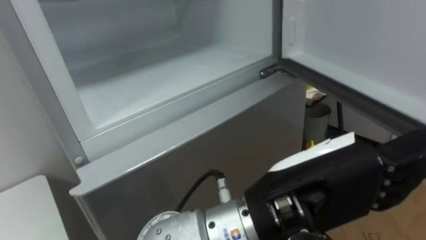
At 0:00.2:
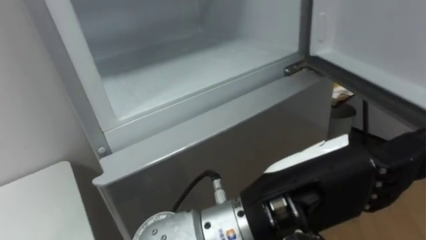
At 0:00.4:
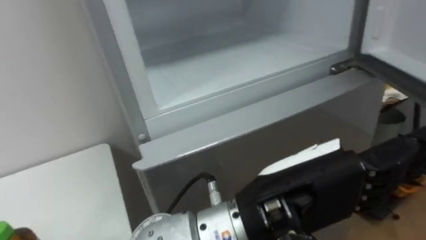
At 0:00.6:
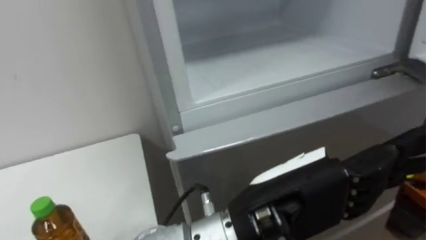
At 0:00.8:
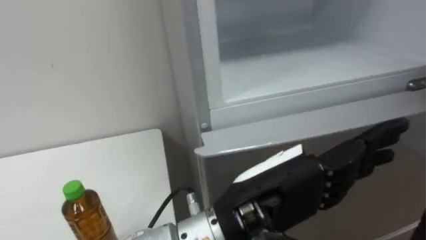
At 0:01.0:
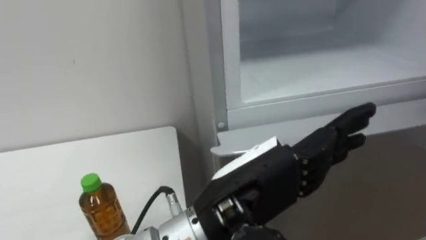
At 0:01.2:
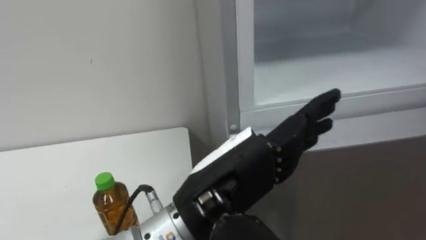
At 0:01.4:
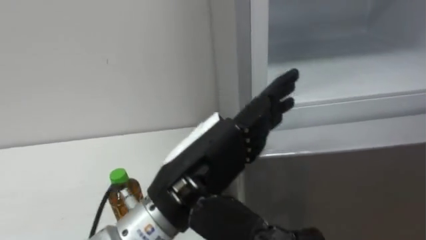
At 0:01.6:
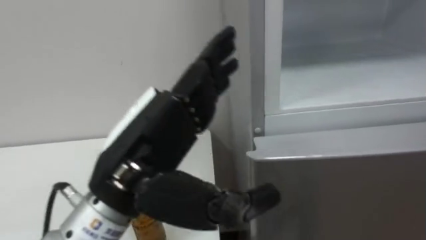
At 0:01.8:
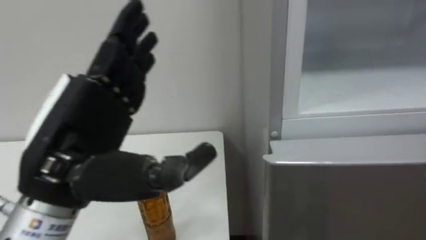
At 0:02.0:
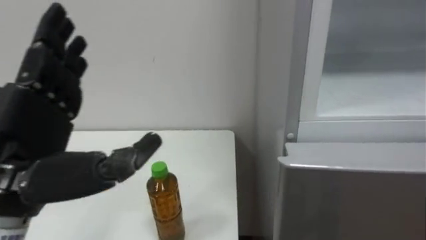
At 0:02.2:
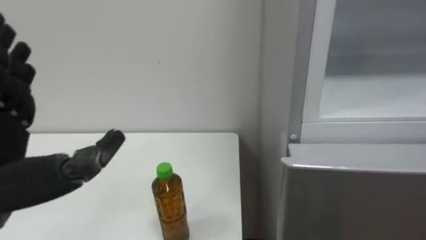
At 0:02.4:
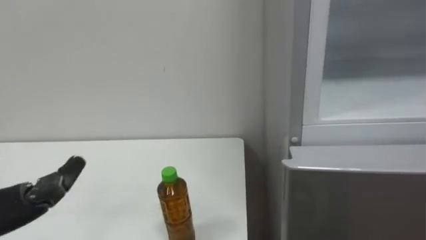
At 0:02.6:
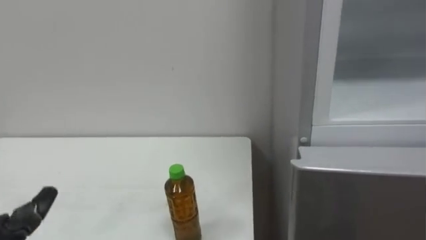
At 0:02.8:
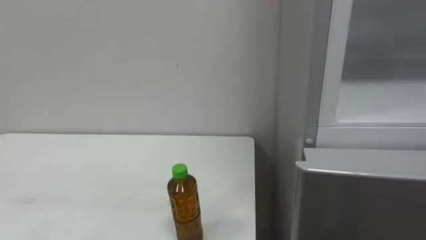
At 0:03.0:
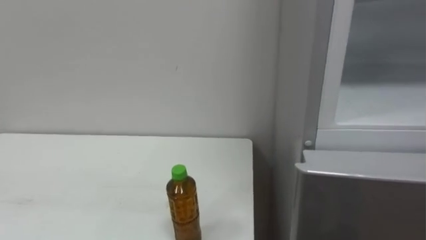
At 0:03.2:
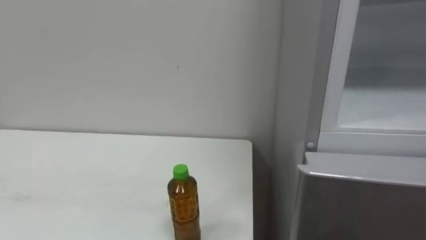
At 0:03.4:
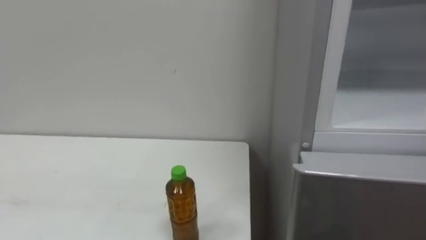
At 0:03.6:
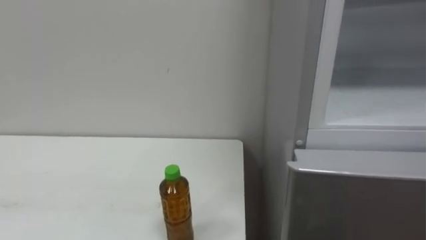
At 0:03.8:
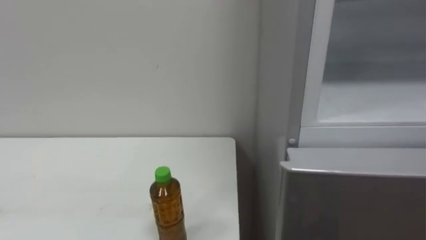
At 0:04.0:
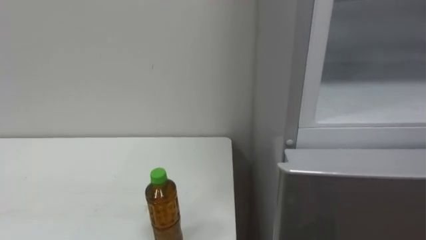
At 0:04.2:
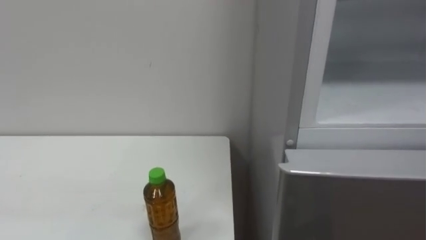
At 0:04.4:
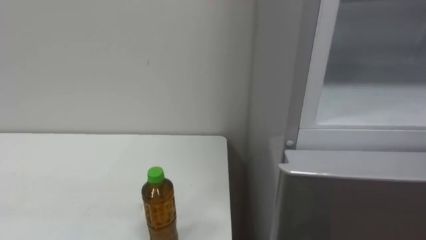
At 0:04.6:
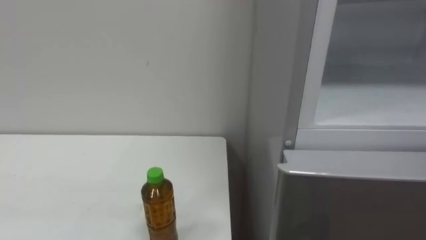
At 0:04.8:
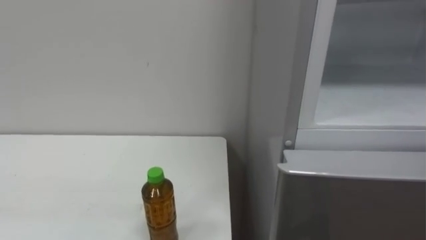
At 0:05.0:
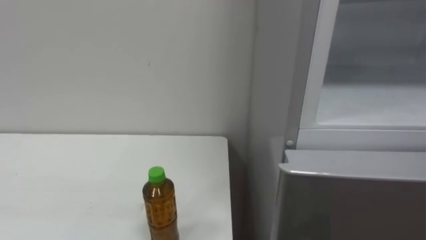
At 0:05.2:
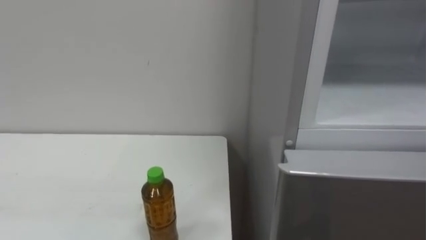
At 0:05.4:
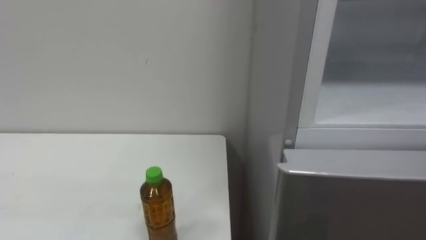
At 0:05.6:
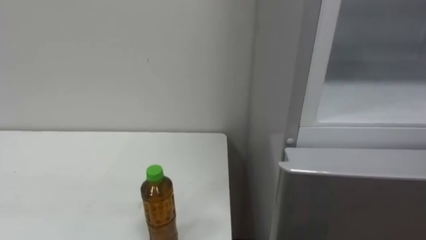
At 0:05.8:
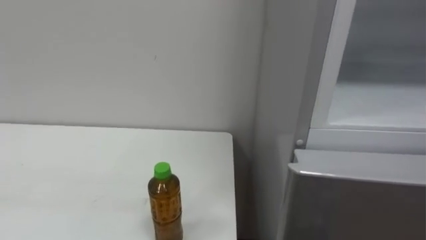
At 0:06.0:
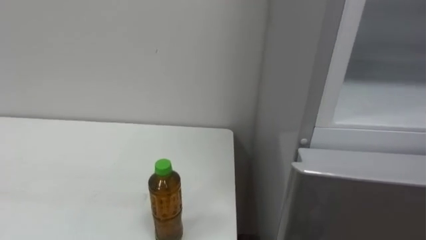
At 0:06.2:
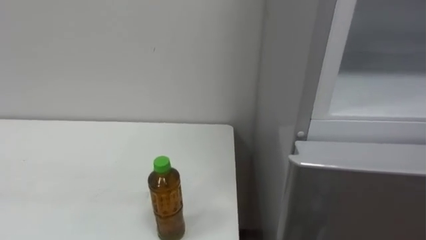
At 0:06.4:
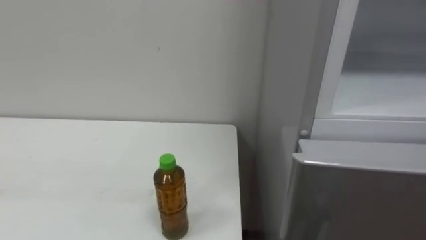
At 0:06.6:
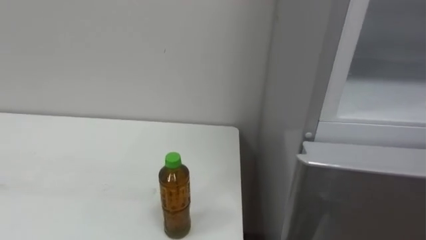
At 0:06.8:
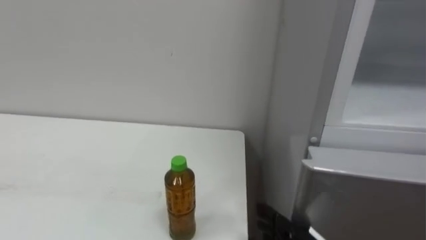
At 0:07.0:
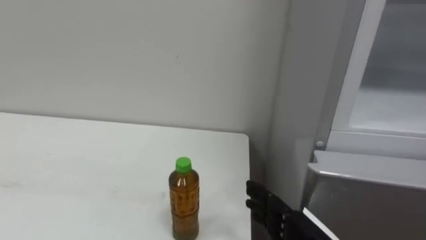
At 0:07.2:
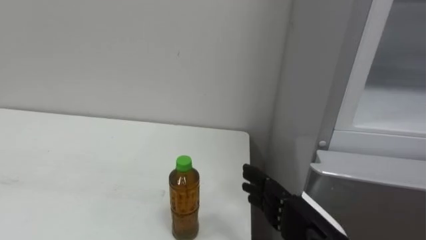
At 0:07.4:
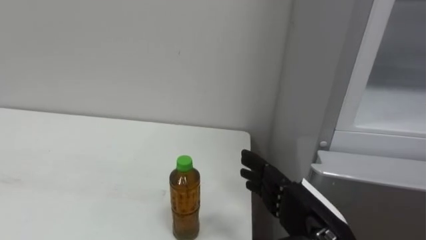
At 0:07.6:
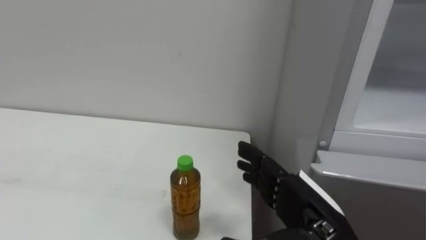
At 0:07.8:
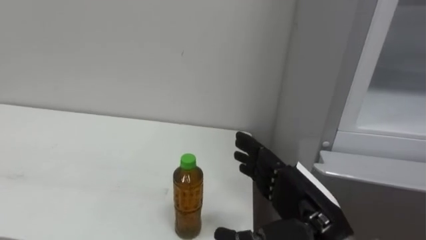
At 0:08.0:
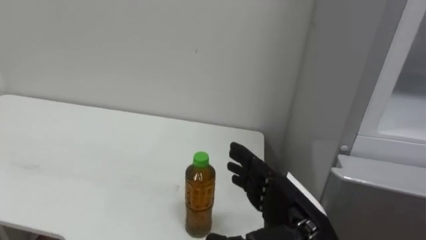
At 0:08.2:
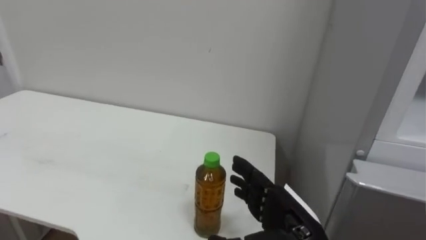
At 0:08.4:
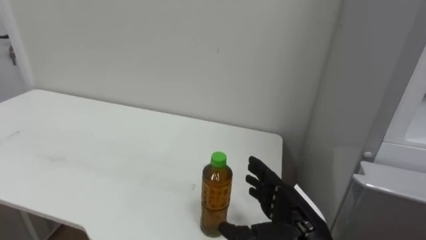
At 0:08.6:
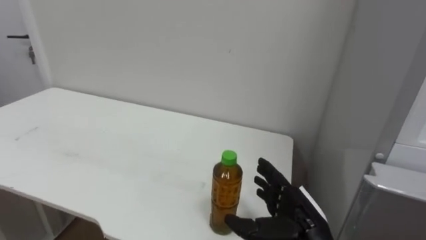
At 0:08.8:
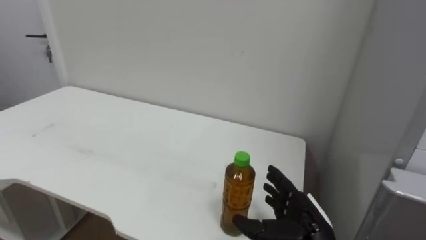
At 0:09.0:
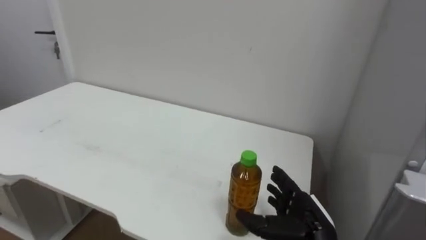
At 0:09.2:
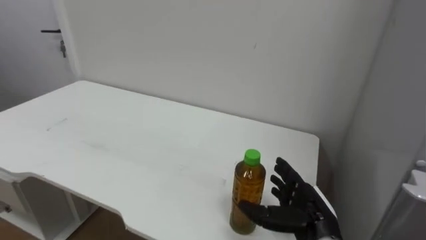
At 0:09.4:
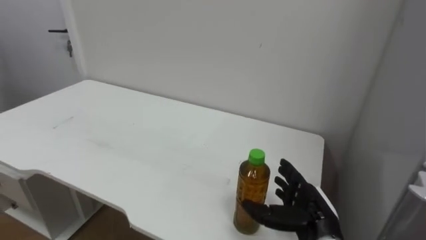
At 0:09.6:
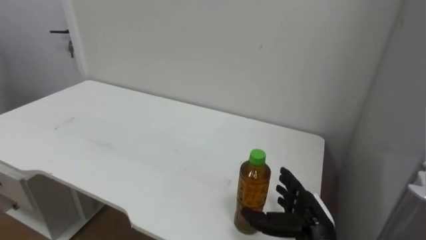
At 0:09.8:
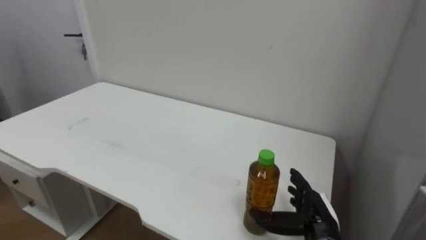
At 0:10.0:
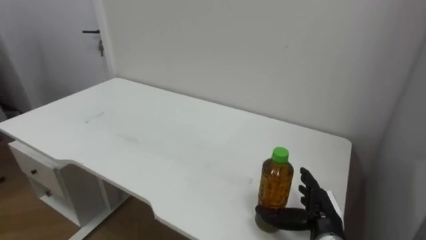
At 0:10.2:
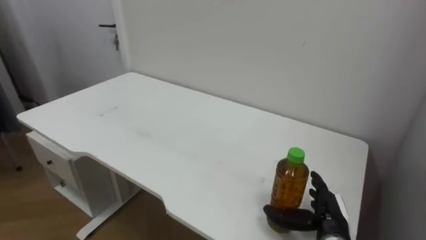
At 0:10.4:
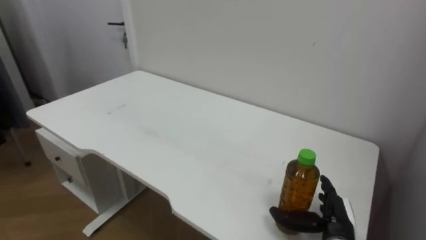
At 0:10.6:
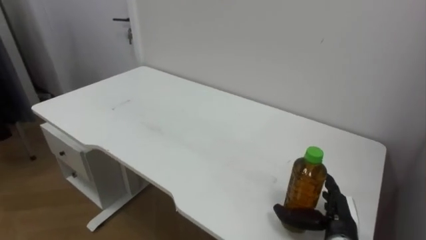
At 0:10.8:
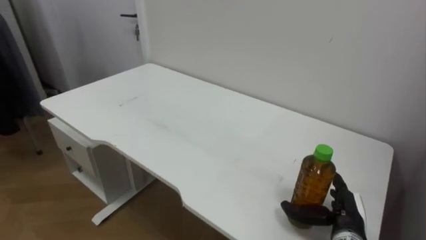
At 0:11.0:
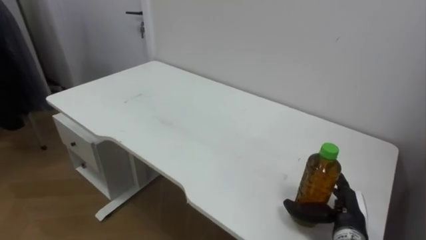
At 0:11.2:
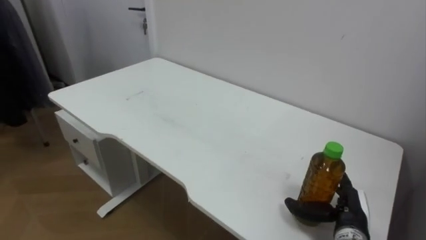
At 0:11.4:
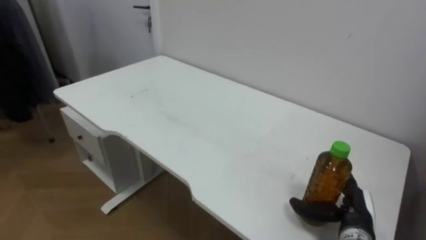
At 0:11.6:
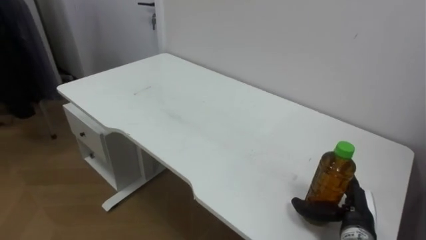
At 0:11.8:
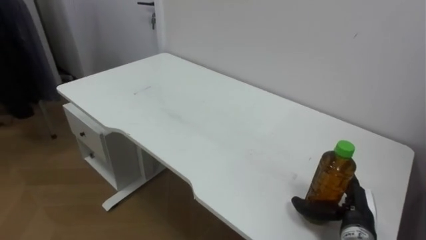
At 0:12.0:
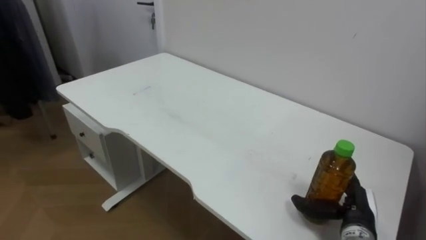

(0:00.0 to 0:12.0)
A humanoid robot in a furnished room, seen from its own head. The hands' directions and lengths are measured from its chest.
Task of the whole recording: Open the upper refrigerator door, put the drink from the table into the refrigerator, and then close the refrigerator door.
0:00.0 - 0:01.6: The left hand travels to the left by approximately 15 cm.
0:07.6 - 0:09.0: The right hand is displaced downward and forward by about 10 cm.
0:09.0 - 0:10.4: The right hand goes roughly 5 cm to the right.

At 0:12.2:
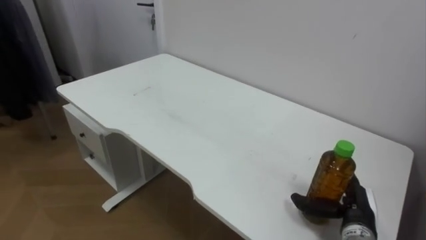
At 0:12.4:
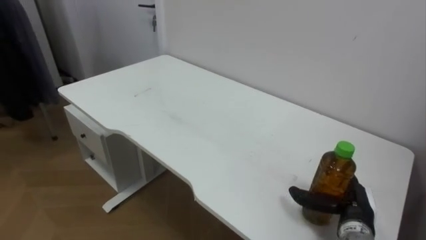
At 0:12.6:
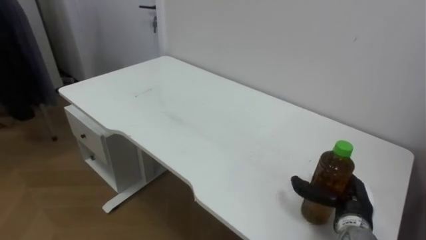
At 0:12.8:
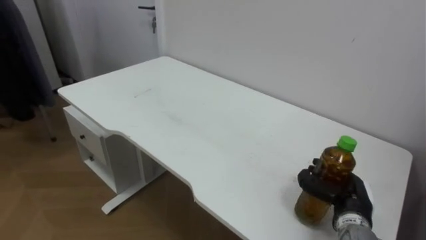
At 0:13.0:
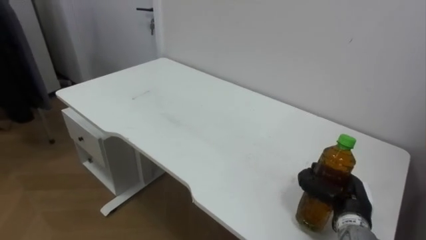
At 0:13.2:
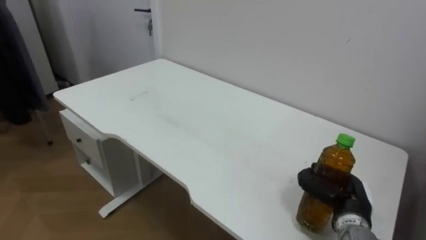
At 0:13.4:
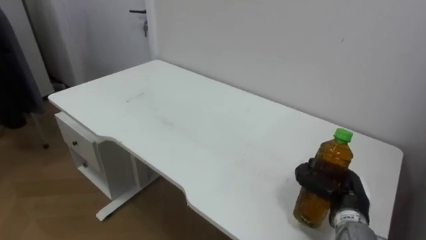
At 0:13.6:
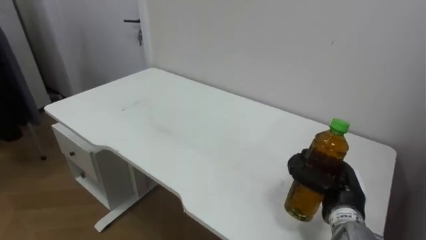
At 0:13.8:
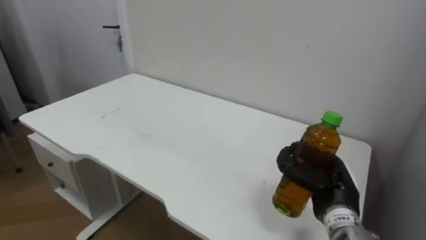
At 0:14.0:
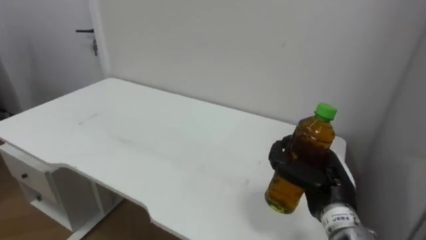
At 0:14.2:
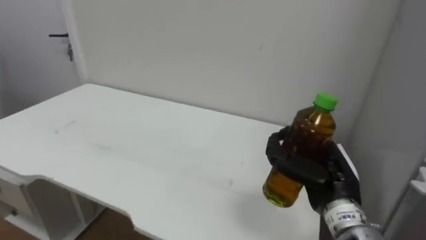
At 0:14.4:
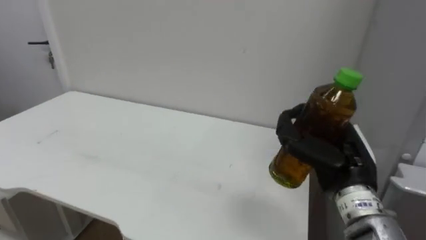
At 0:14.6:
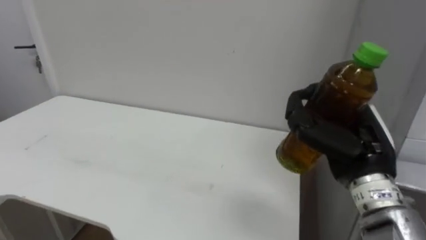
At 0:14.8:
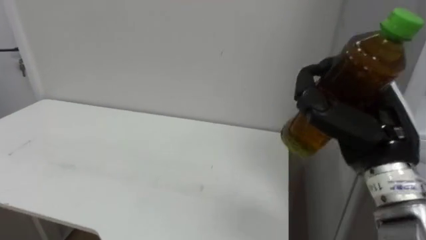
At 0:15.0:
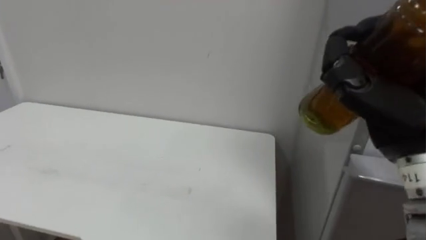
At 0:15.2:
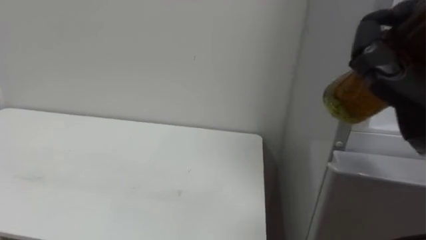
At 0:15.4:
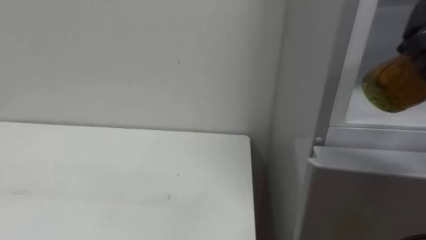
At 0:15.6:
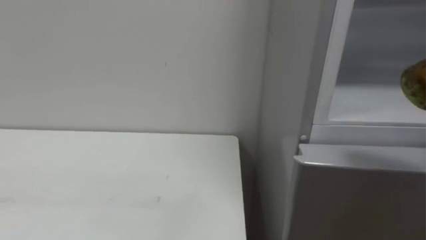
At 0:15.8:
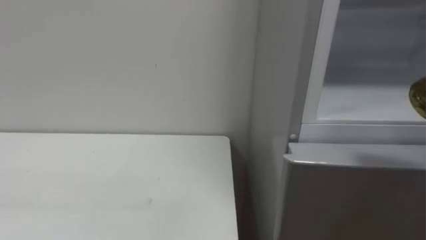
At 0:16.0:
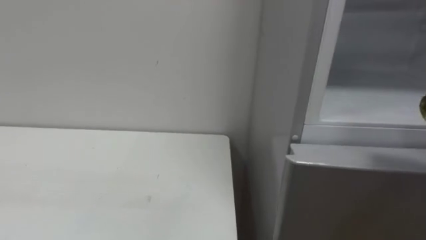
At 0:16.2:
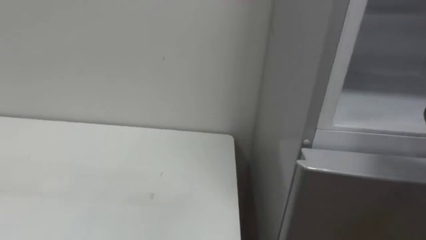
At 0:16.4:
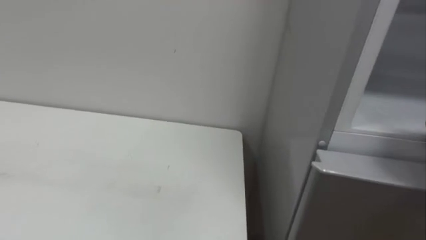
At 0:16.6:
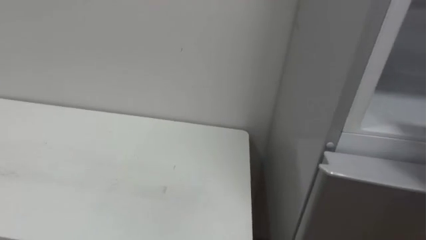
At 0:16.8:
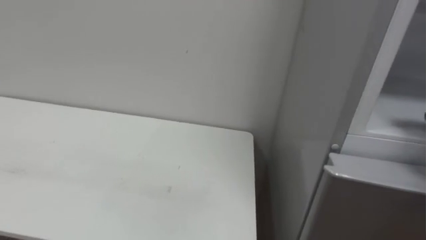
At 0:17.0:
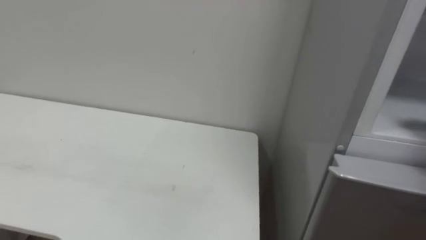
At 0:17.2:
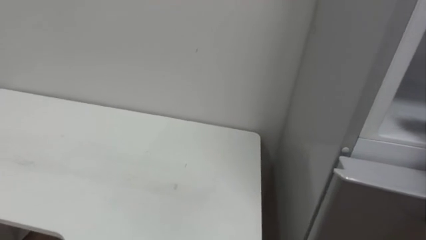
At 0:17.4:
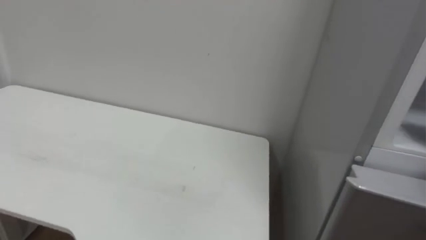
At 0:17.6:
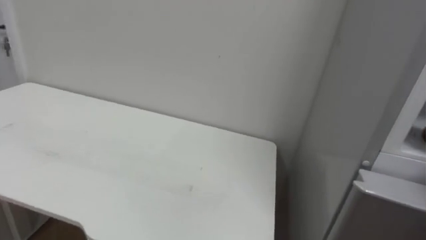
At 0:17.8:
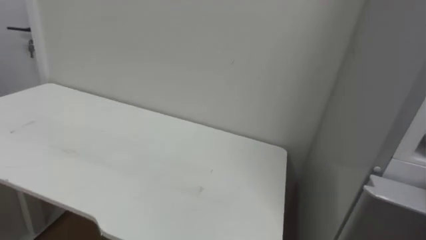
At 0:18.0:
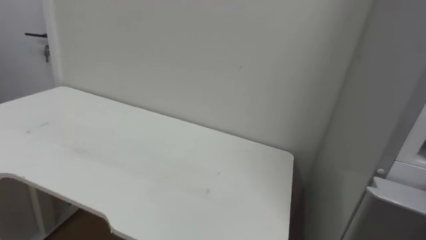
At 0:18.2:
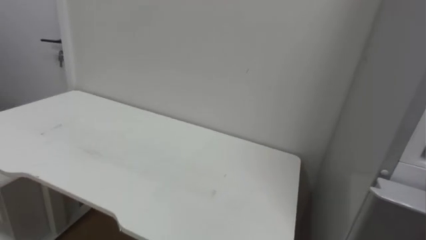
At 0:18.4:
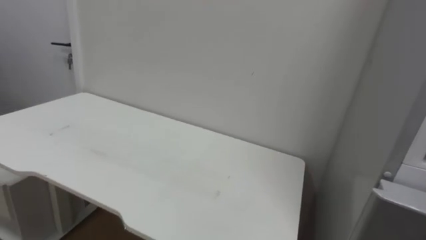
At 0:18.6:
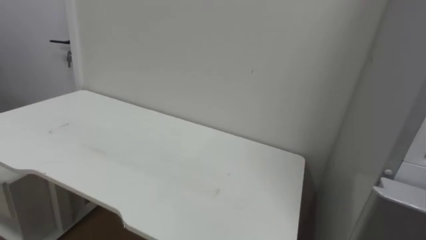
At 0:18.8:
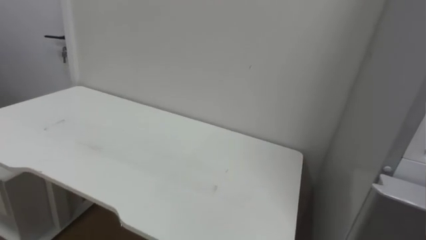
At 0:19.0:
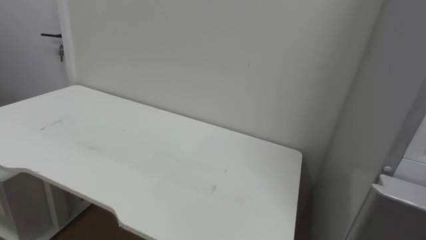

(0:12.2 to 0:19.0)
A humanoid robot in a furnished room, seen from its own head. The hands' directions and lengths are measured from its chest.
Task of the whole recording: Open the upper refrigerator door, put the drink from the table into the refrigerator, and then close the refrigerator door.
0:12.2 - 0:13.6: The right hand moves upward, roughly 5 cm, and closes up.
0:13.6 - 0:15.0: The right hand heads upward, covering about 20 cm.
